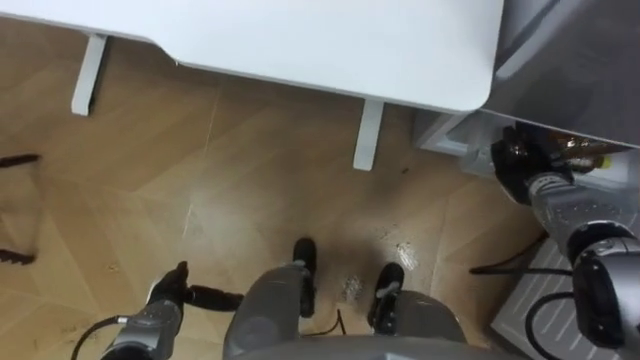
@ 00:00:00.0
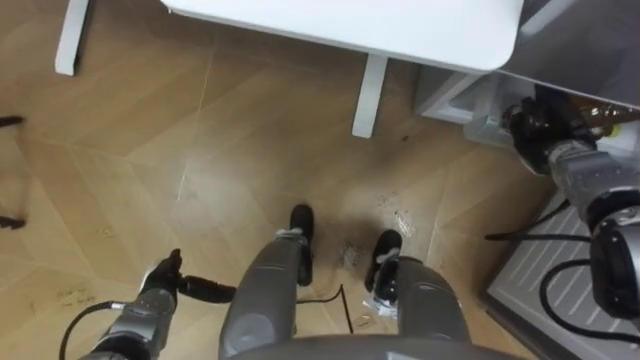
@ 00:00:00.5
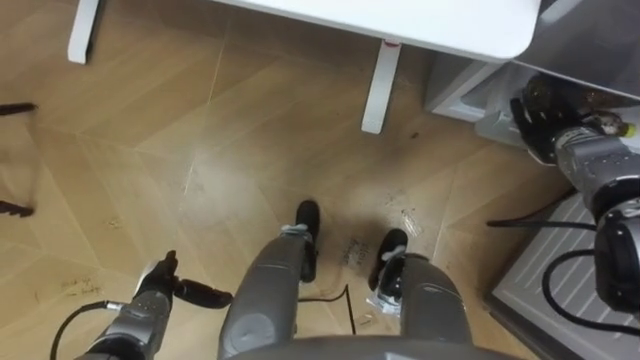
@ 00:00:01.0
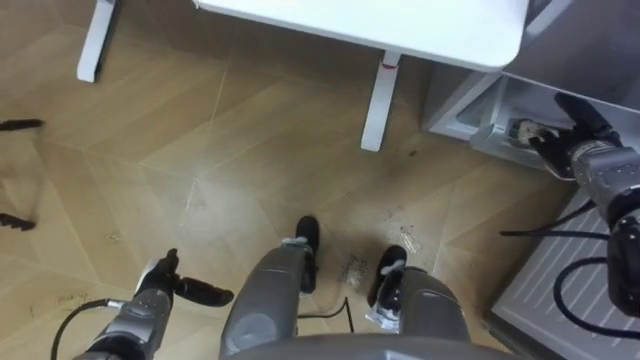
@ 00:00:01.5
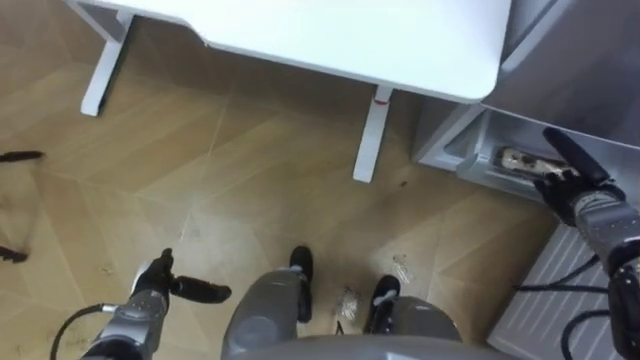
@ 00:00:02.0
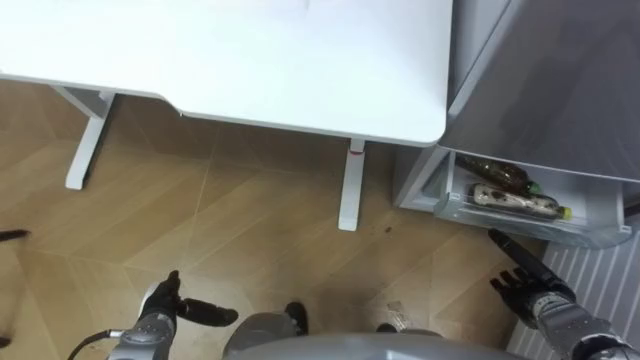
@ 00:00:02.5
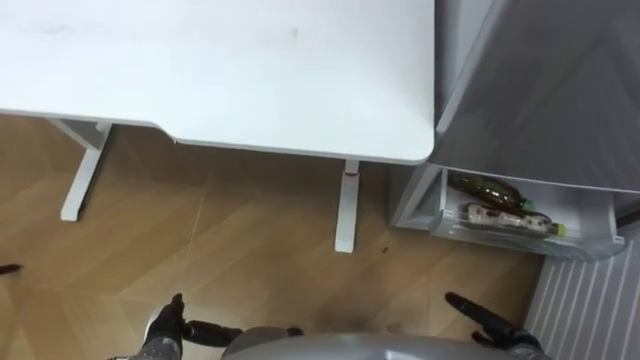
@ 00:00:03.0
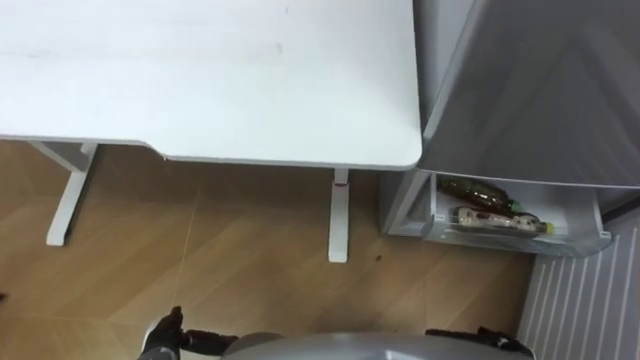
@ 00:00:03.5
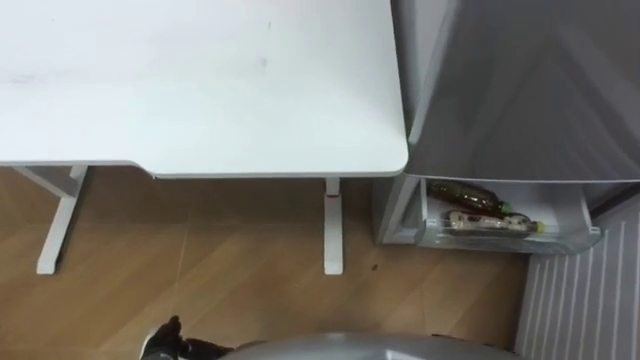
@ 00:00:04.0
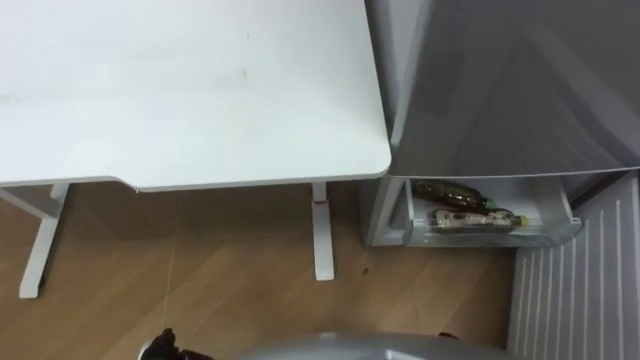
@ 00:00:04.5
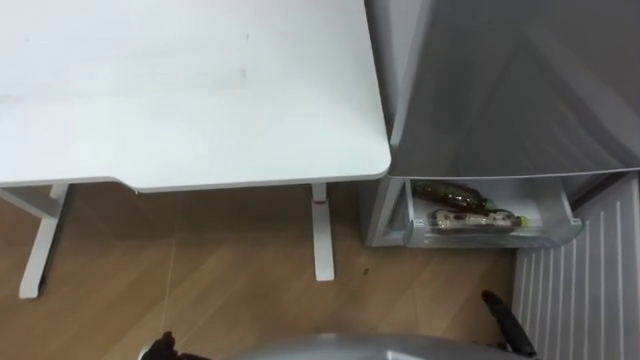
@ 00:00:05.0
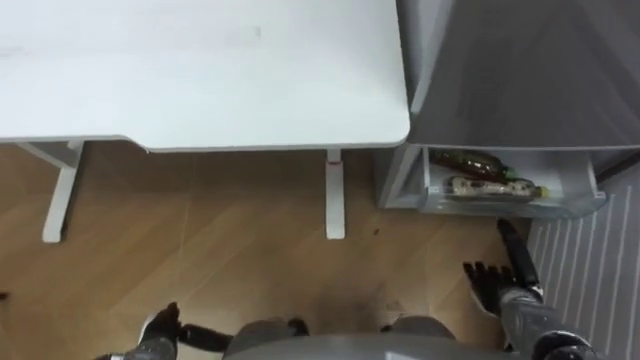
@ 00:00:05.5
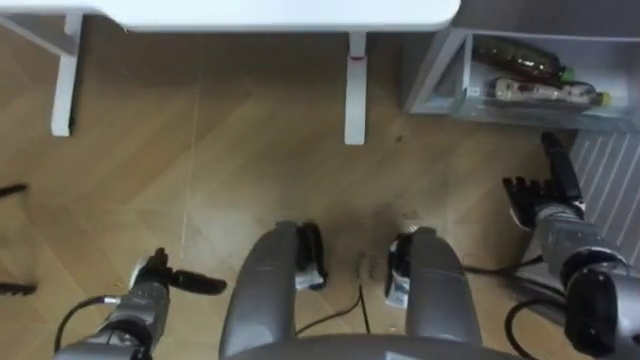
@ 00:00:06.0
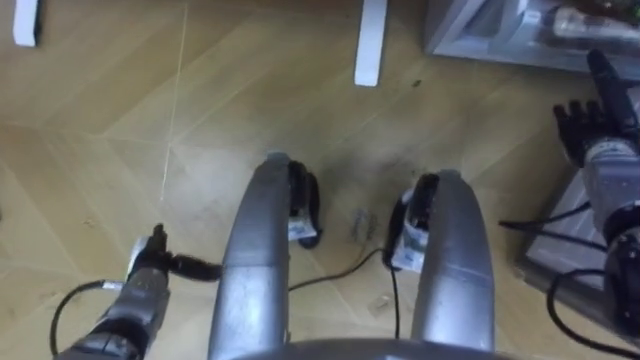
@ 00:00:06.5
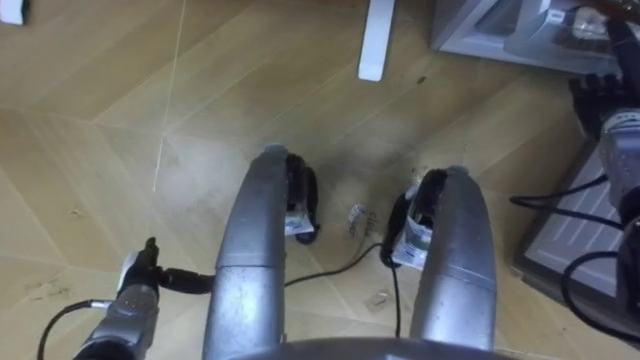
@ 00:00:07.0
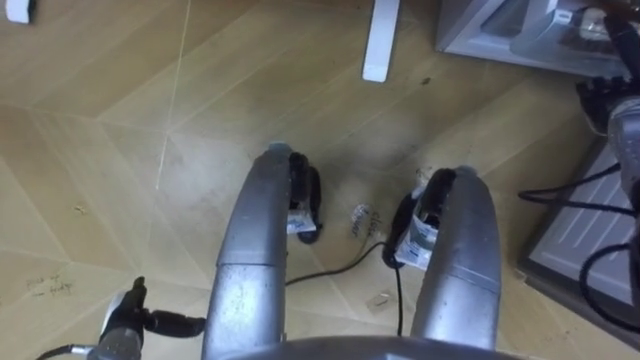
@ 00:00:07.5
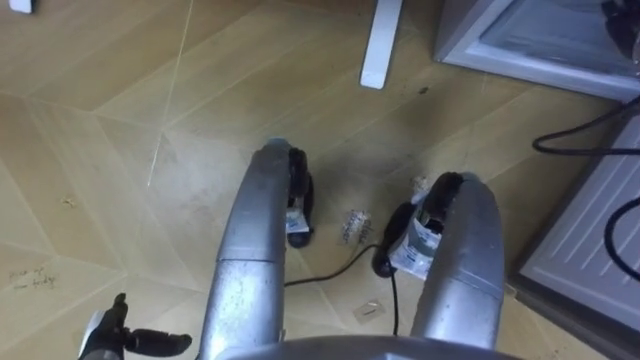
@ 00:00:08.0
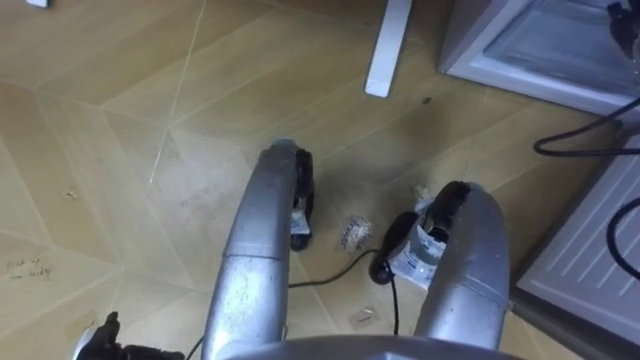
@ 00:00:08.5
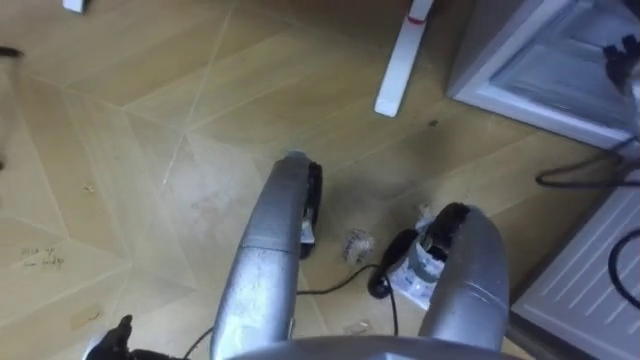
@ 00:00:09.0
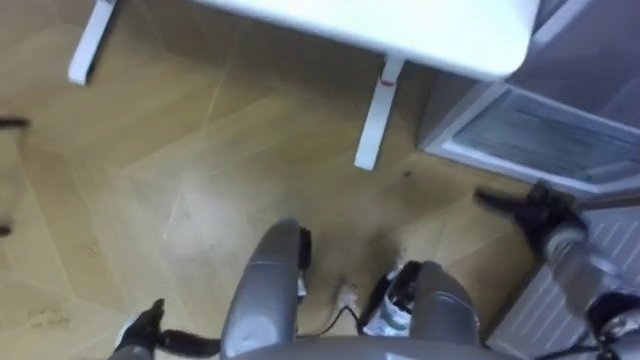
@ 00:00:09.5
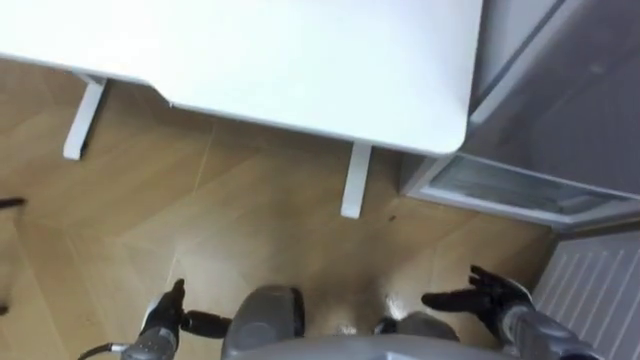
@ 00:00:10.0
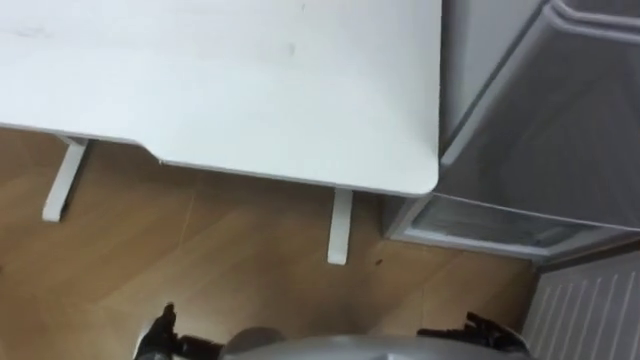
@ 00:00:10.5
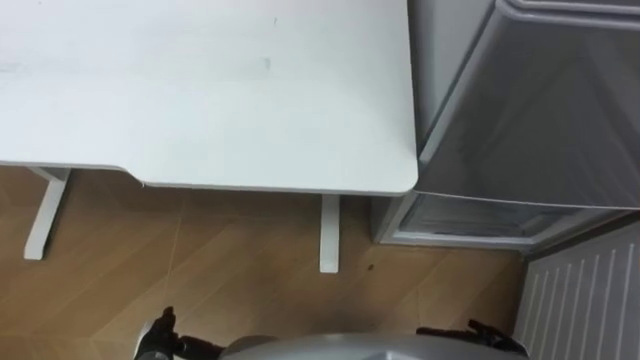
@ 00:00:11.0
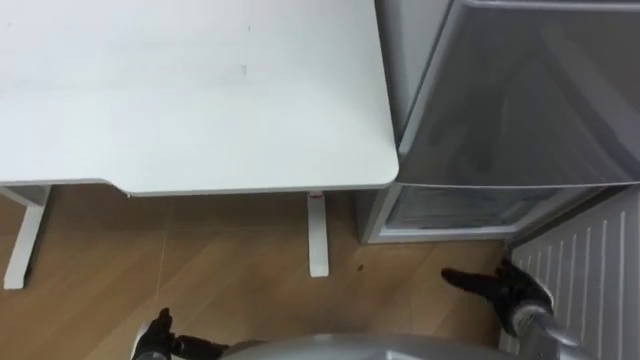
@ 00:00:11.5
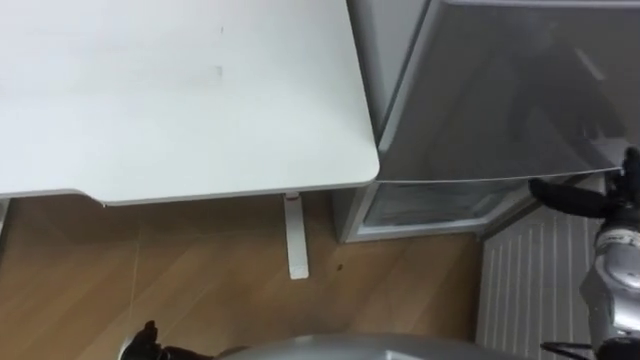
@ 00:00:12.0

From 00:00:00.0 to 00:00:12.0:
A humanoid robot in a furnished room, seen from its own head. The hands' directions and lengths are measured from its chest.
Task of the whole recording: Place the drink on the table on the bottom shelf of the refrigerator, then close the drawer and the refrigerator door.
From 00:00:00.0 to 00:00:02.0: The right hand moves to the right, approximately 5 cm, and opens.
From 00:00:02.0 to 00:00:04.0: The left hand shifts some 10 cm backward.
From 00:00:06.0 to 00:00:08.0: The left hand heads backward, covering approximately 10 cm. The right hand is displaced upward and forward by approximately 25 cm.
From 00:00:08.0 to 00:00:10.0: The right hand shifts some 40 cm downward and backward.
From 00:00:10.0 to 00:00:12.0: The right hand shifts some 20 cm upward, to the right and forward.

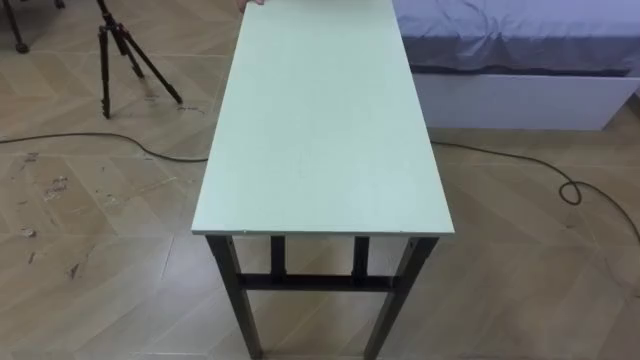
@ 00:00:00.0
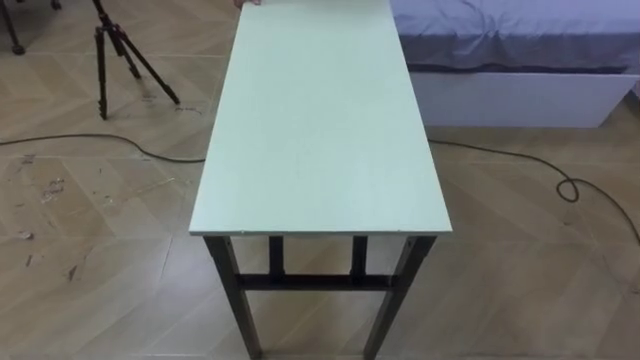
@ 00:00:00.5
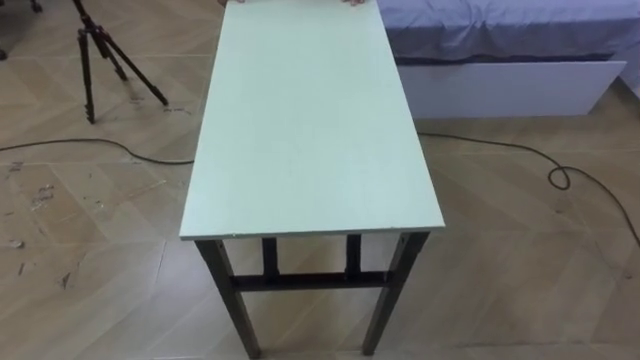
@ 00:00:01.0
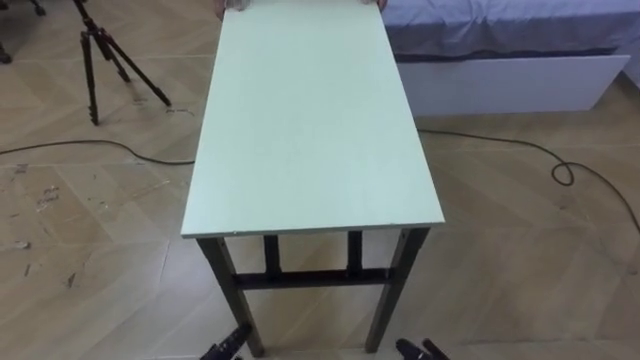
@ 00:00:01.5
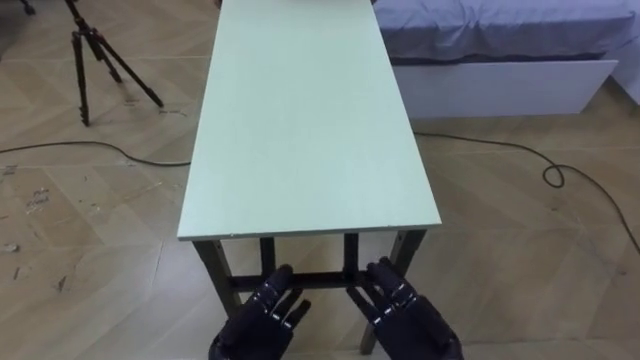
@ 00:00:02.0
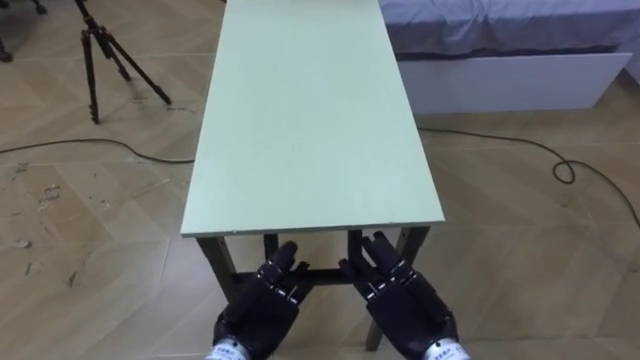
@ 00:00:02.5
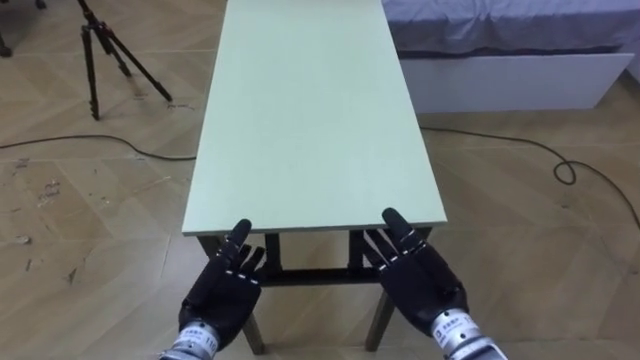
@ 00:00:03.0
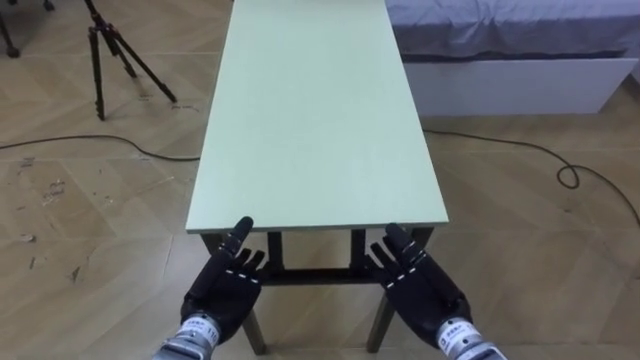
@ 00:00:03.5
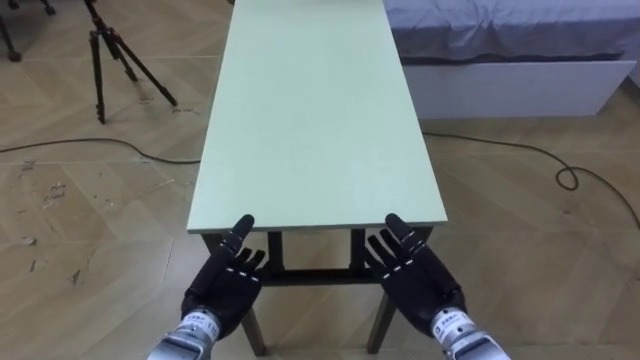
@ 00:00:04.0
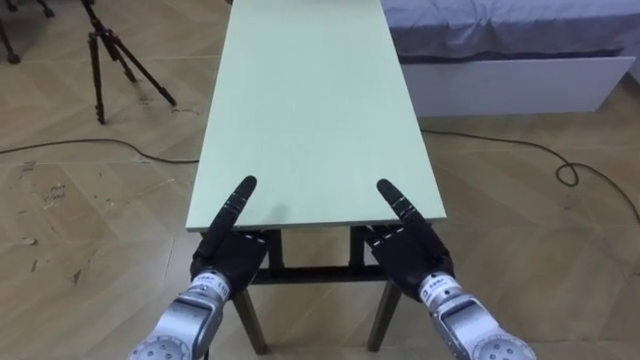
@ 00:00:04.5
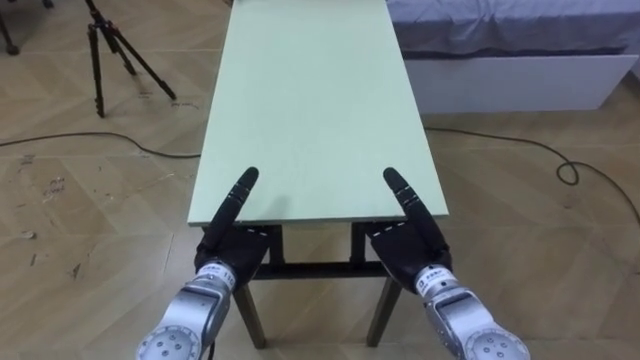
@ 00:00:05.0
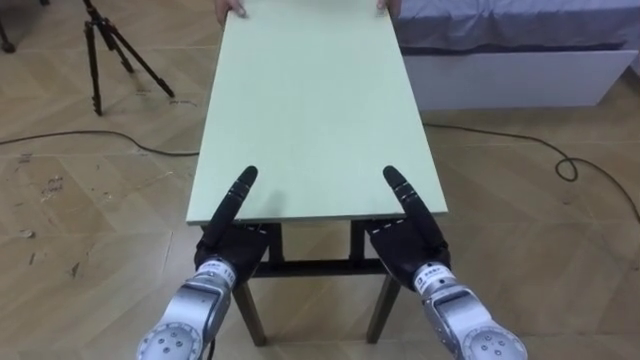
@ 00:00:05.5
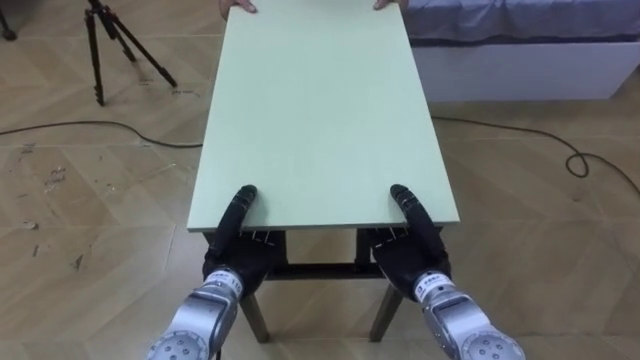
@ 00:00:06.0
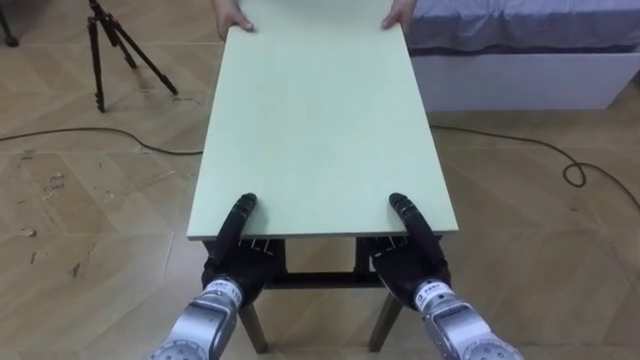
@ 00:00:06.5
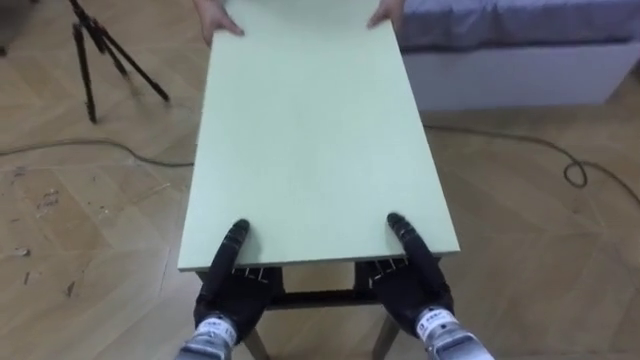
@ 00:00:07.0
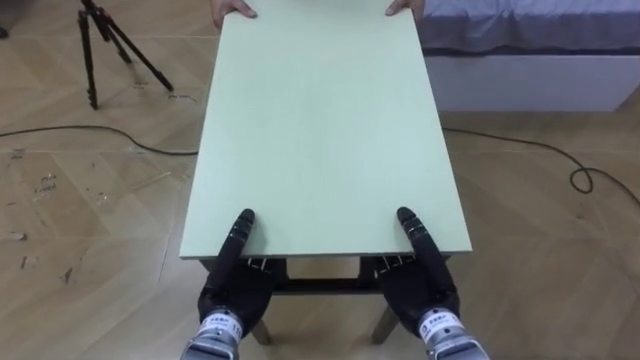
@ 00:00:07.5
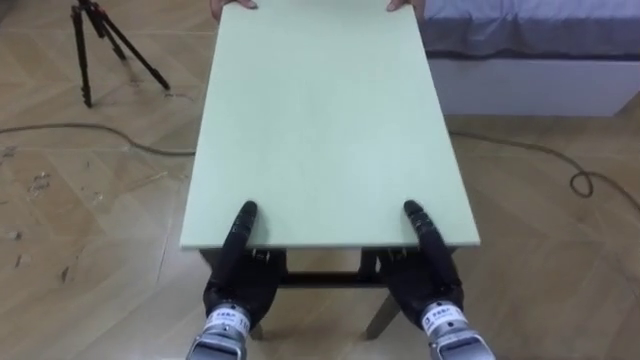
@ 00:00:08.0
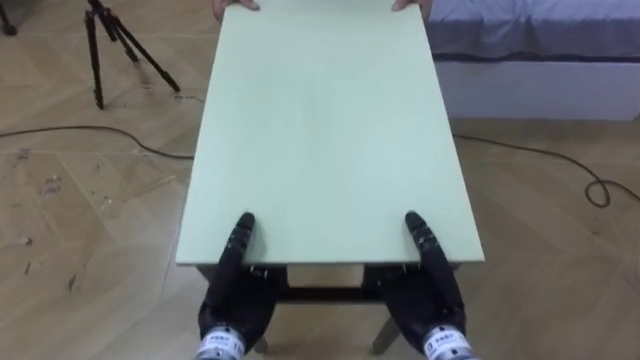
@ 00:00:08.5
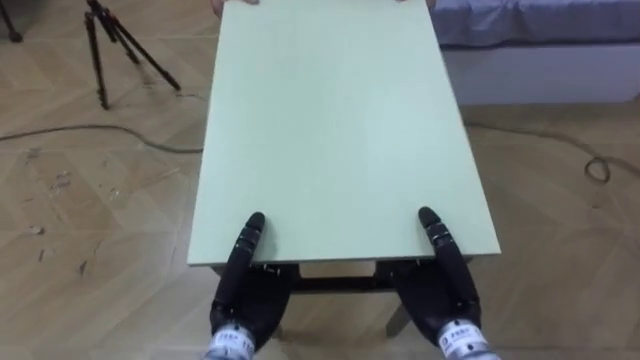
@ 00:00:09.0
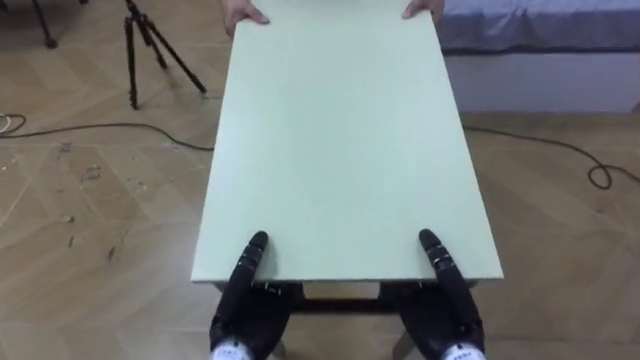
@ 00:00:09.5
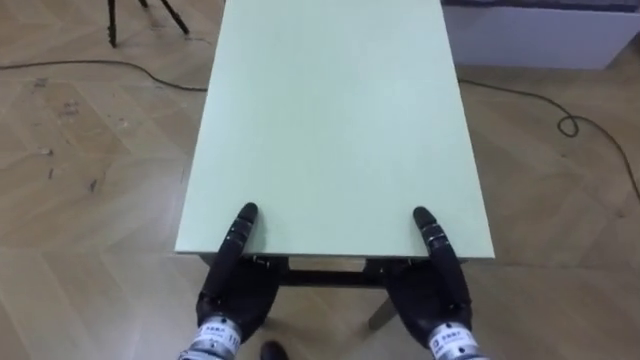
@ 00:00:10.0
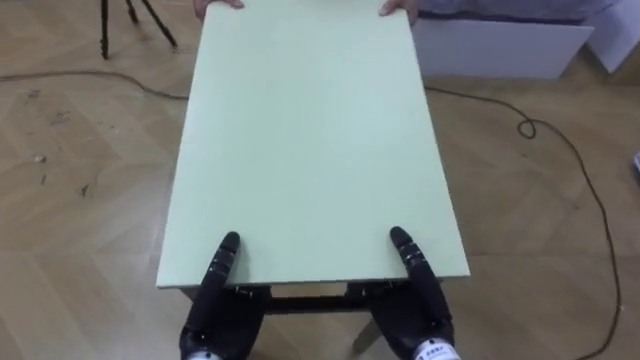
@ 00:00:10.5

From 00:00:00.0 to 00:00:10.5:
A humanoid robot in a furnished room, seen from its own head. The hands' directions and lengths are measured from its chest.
Task of the whole recording: Move the table to the back left with someone.
From 00:00:02.0 to 00:00:04.0: Both hands move forward, about 5 cm.
From 00:00:04.0 to 00:00:06.5: The right hand closes. The left hand closes its fingers.
From 00:00:06.5 to 00:00:08.5: The left hand ends up about 5 cm from where it was. The right hand changes place by about 5 cm.
